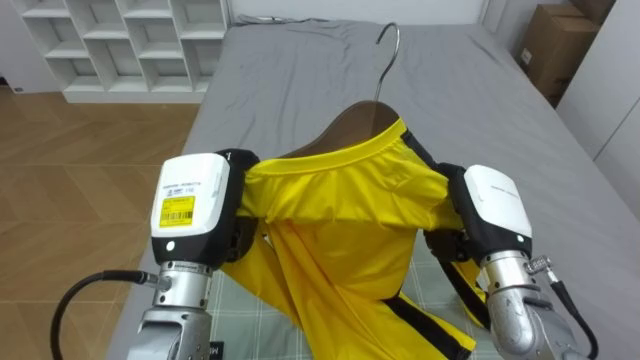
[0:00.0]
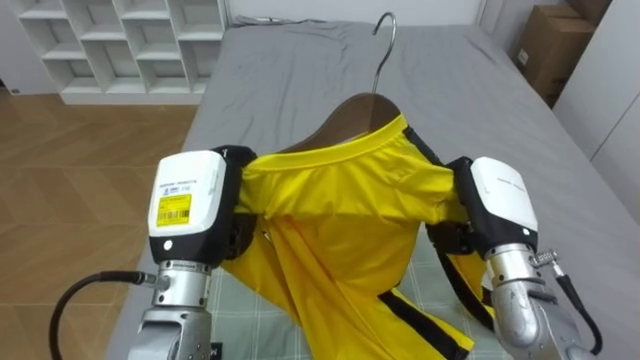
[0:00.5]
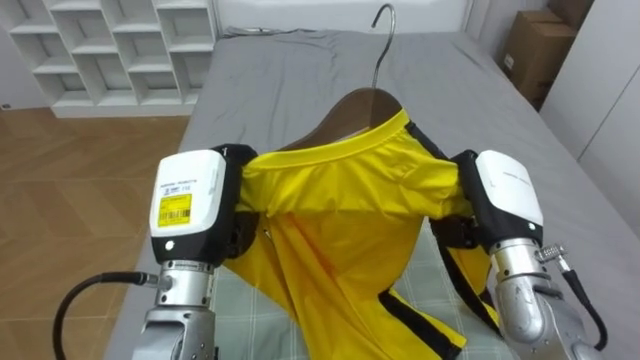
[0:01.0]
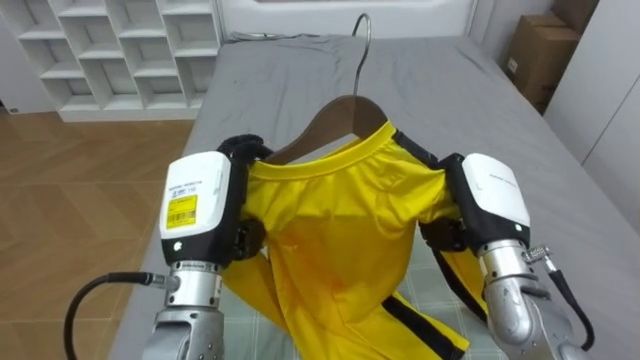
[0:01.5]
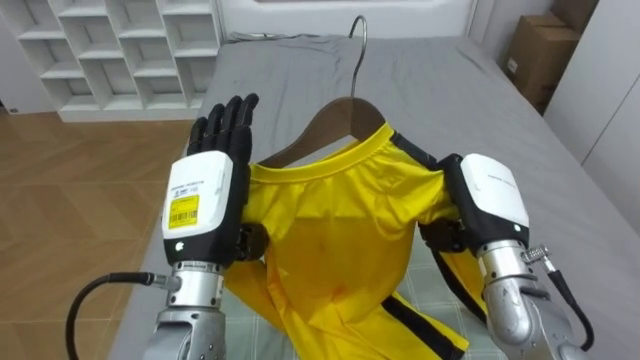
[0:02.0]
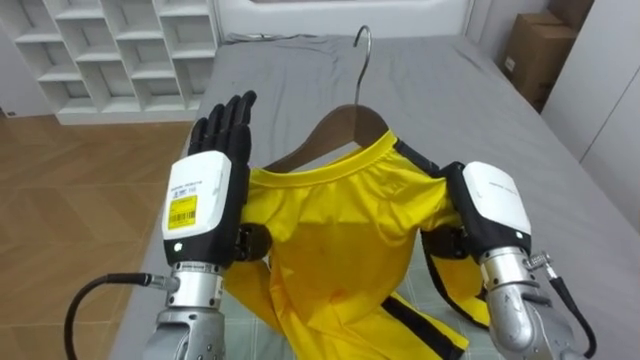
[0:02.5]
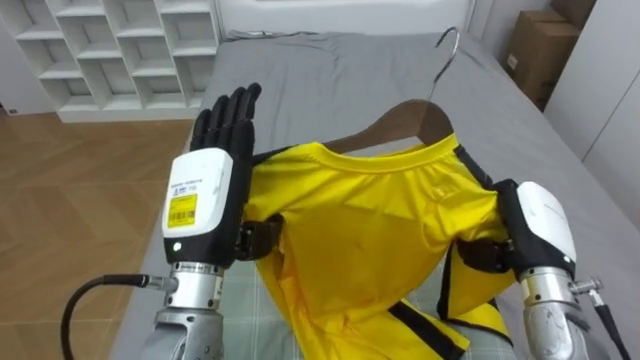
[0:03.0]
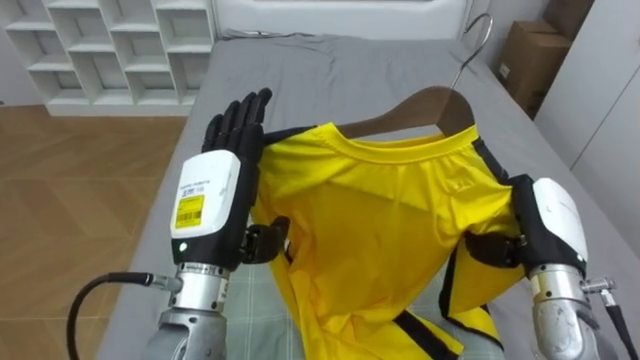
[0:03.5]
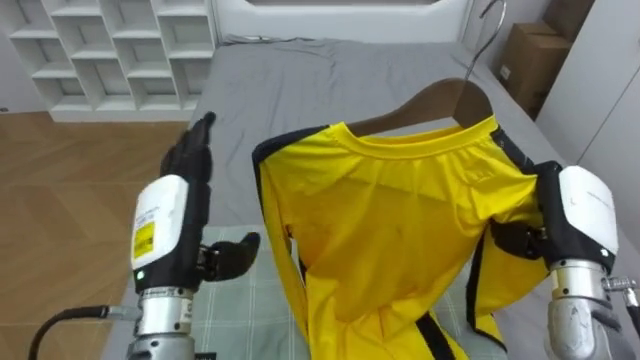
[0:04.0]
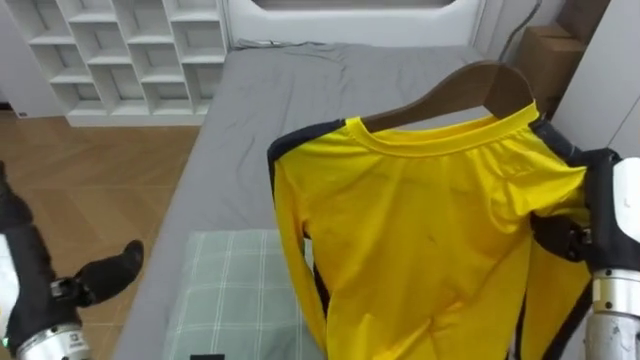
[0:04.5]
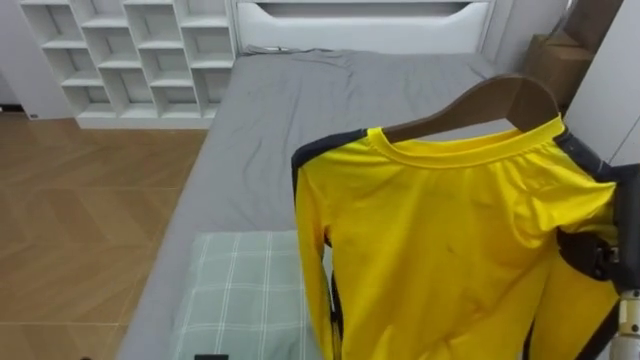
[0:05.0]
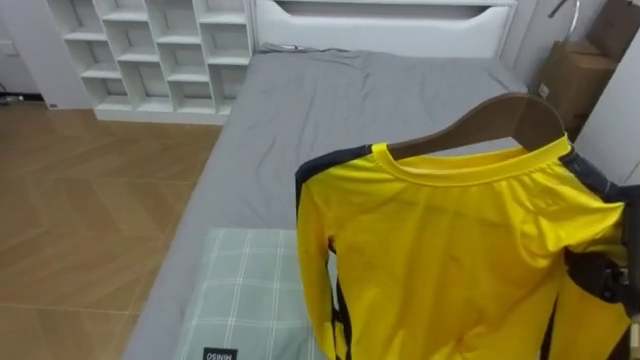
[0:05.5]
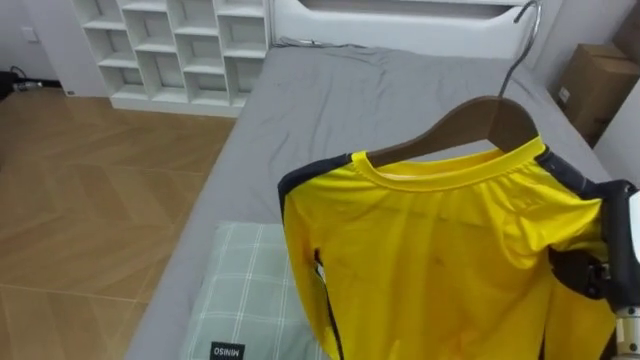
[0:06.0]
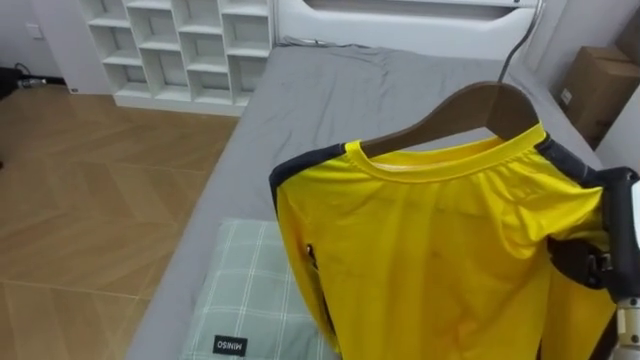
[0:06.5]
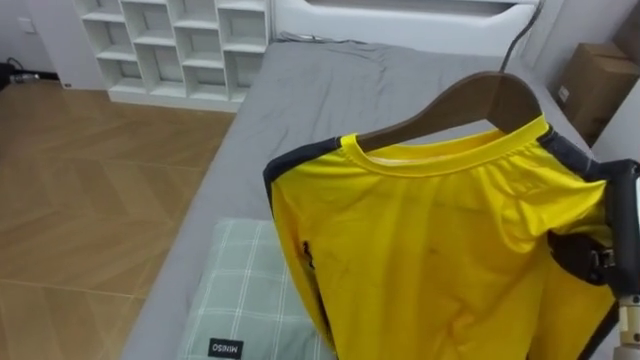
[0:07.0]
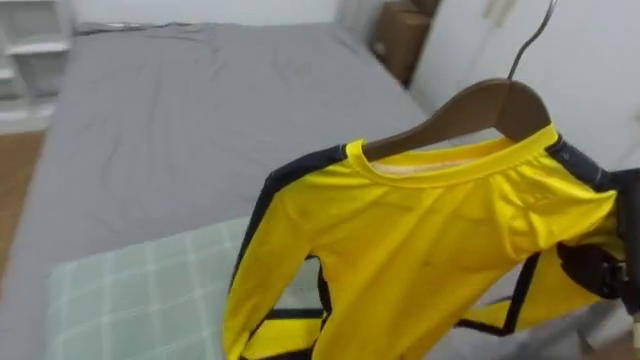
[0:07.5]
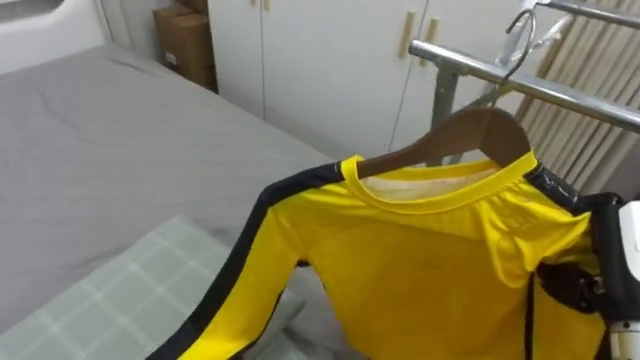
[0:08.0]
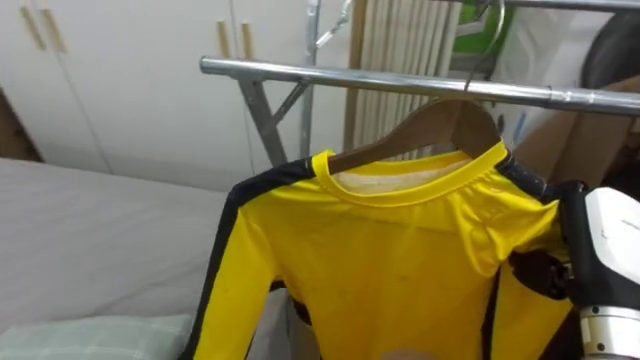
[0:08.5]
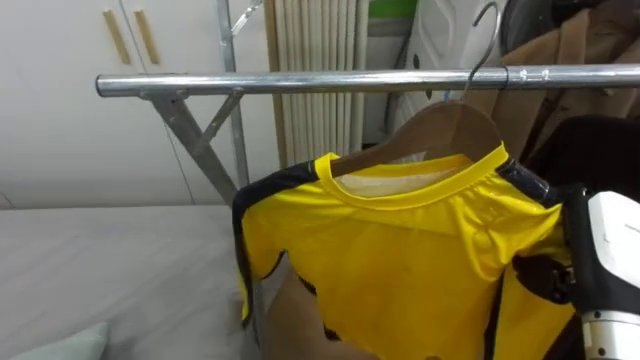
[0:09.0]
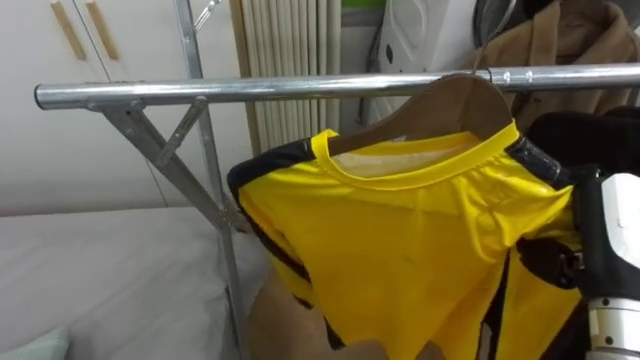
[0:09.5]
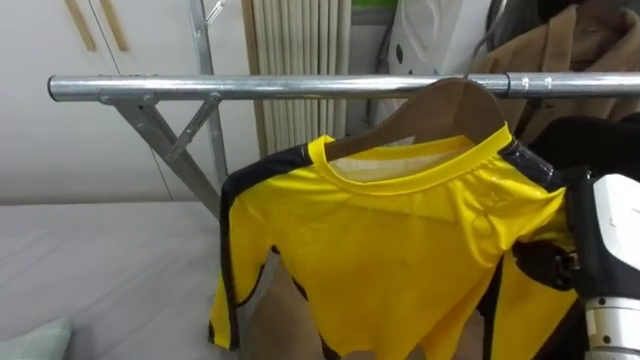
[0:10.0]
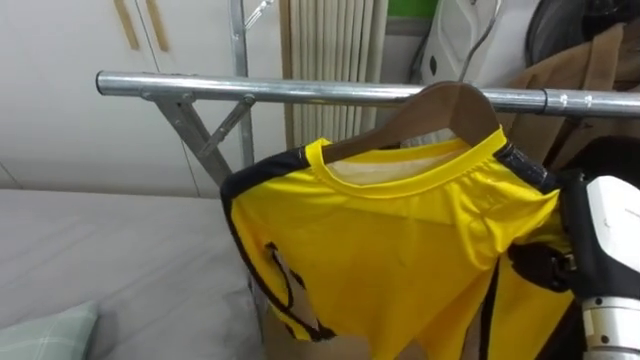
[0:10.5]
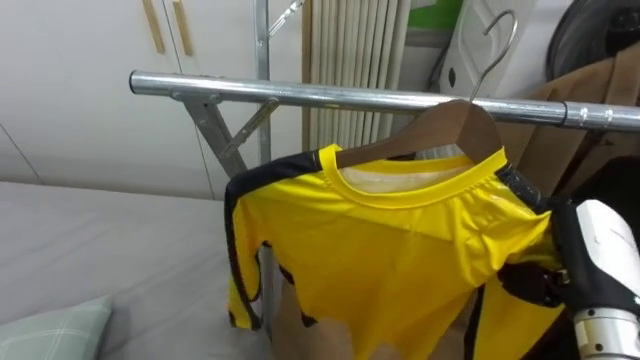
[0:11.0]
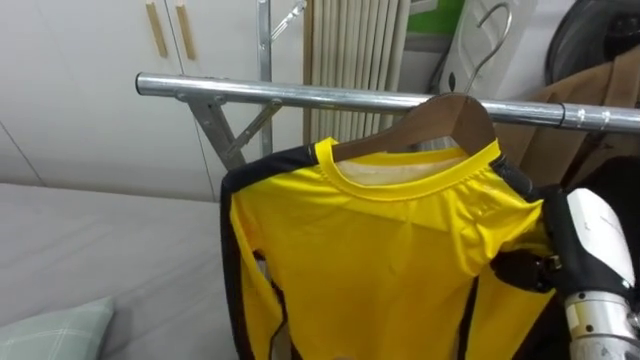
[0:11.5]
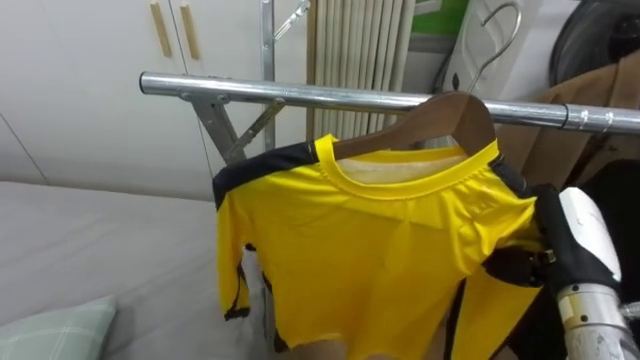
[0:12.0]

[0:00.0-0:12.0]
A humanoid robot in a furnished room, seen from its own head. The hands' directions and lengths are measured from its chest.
Task of the whole recording: Pick up the yellow shirt on the bed and hang it on the clothes rack on the right.
0:00.0 to 0:02.0: The left hand opens, while the right hand closes its fingers.
0:02.0 to 0:04.0: The right hand is displaced to the right by approximately 10 cm.
0:04.0 to 0:06.0: The right hand heads backward, covering roughly 5 cm.
0:06.0 to 0:08.0: The robot rotates approximately 50 degrees to its right.
0:08.0 to 0:10.0: The robot rotates roughly 45 degrees to its right.
0:10.0 to 0:12.0: The right hand ends up roughly 5 cm from where it was.

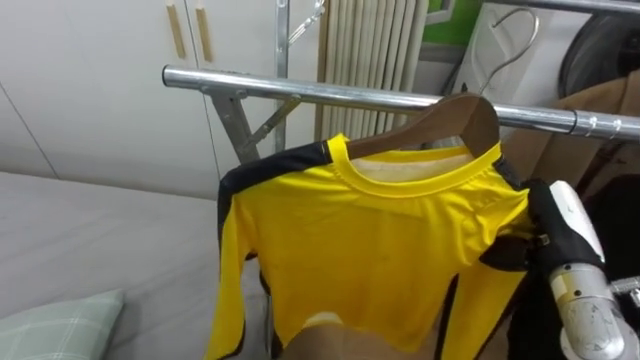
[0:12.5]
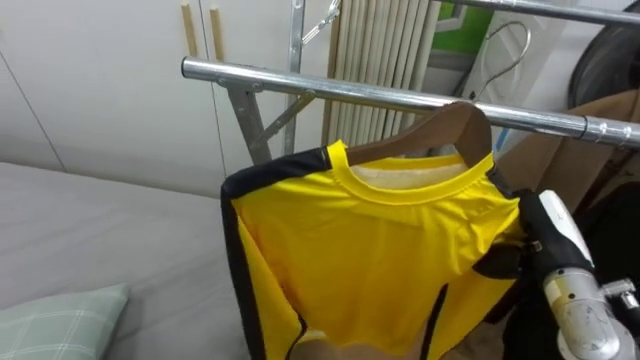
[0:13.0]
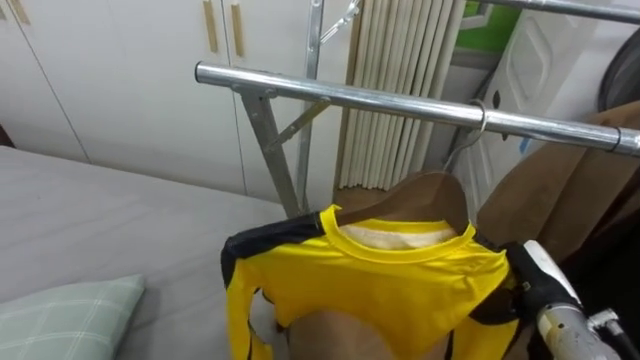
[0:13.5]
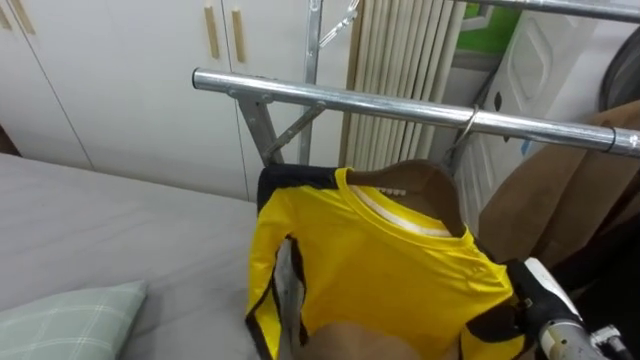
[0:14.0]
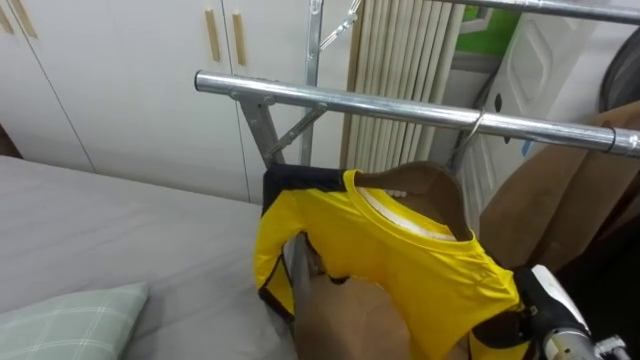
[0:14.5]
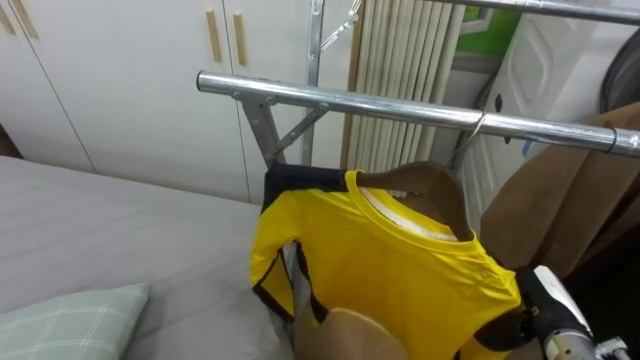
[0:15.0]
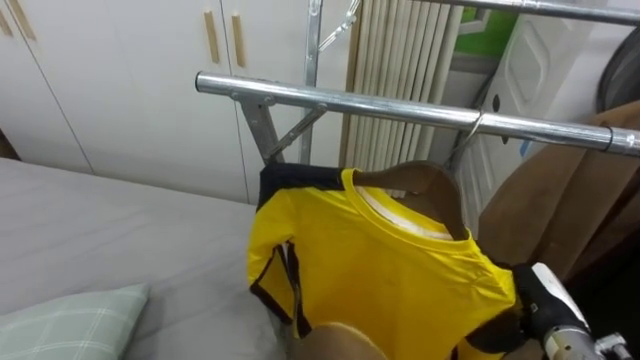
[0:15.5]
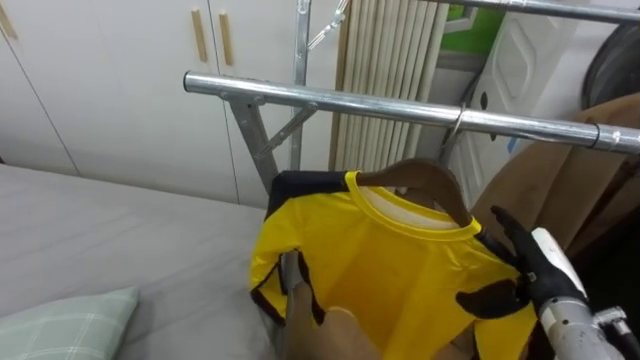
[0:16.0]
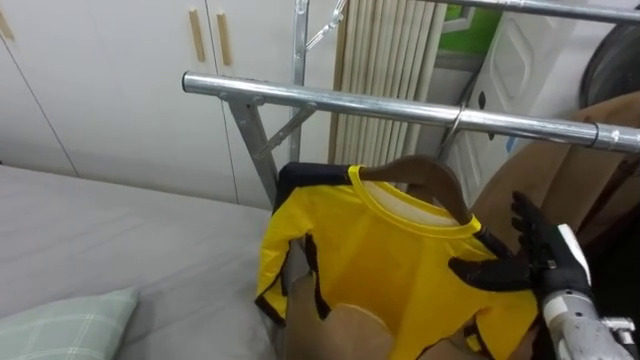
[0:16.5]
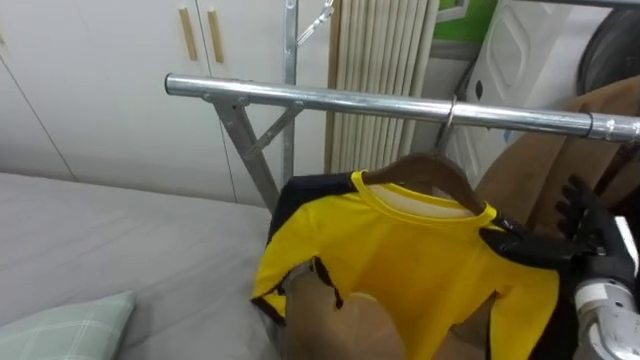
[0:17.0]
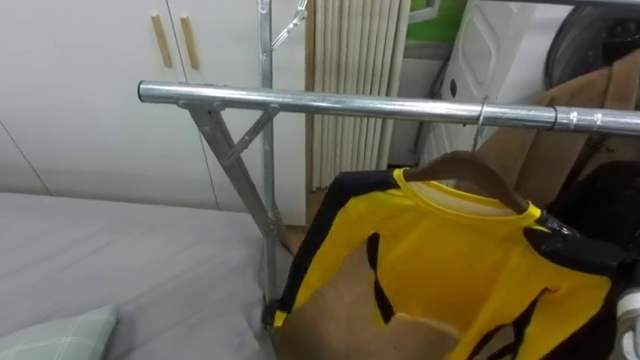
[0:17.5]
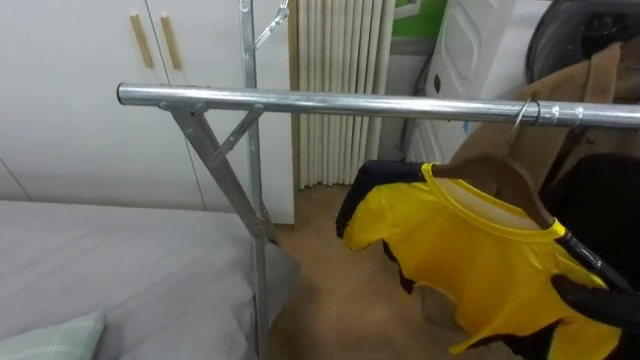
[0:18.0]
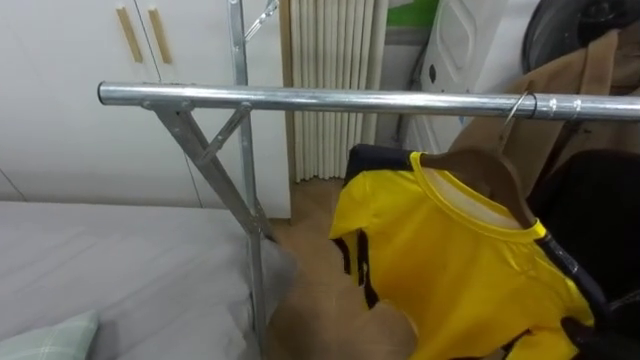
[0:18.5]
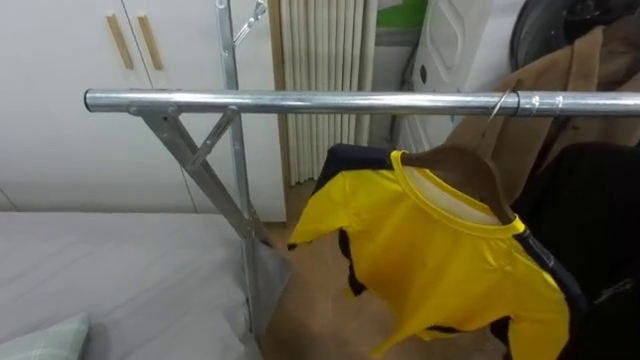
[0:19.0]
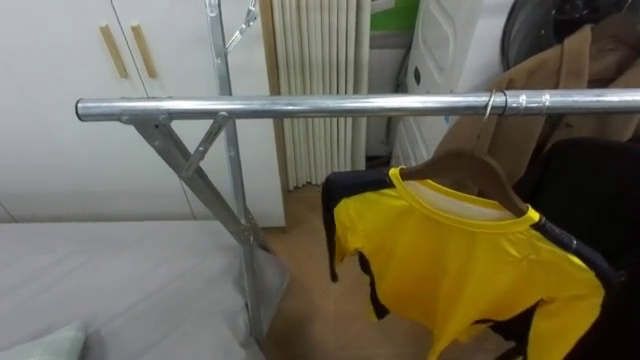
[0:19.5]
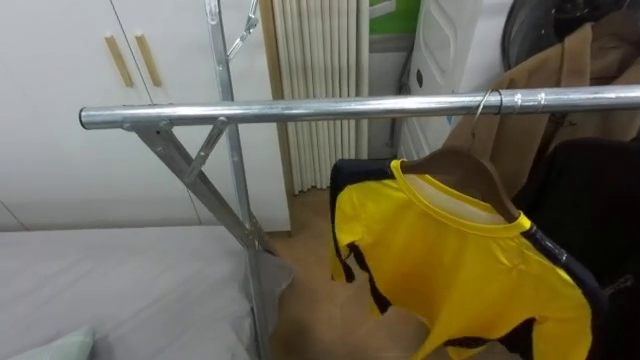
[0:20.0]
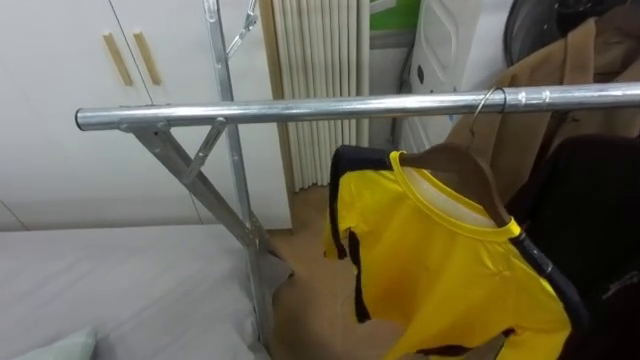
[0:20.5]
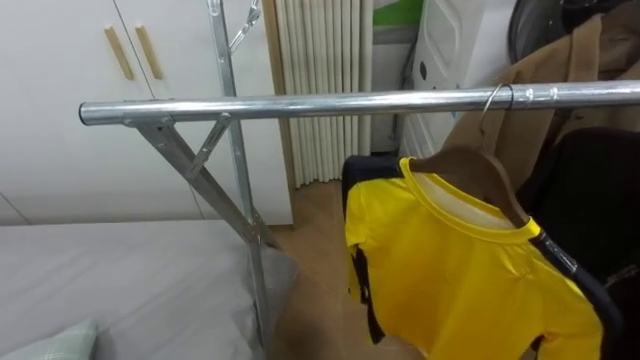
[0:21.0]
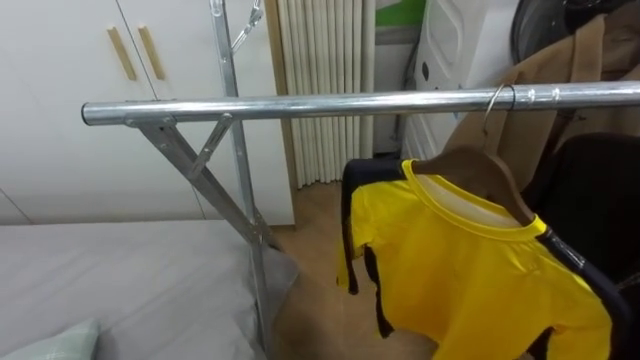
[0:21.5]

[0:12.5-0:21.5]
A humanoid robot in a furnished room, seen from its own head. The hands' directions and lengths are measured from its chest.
Task of the whole recording: Pick up the yellow shirt on the bed and hang it on the clothes rack on the right.
0:12.5 to 0:14.5: The right hand moves downward, approximately 10 cm.
0:14.5 to 0:17.0: The right hand moves upward, about 10 cm, and opens.
